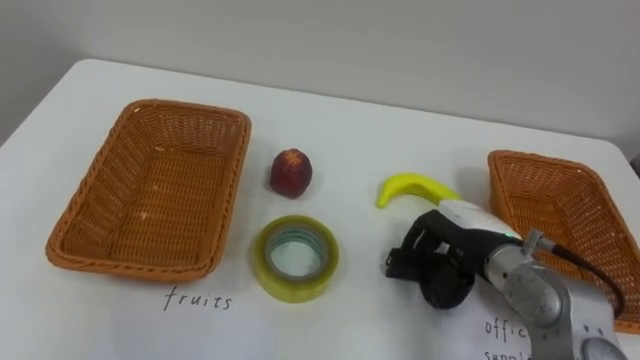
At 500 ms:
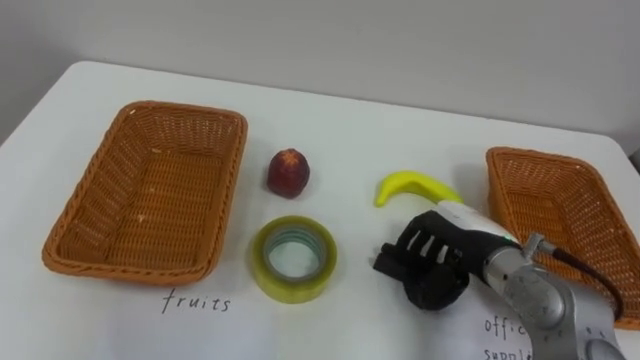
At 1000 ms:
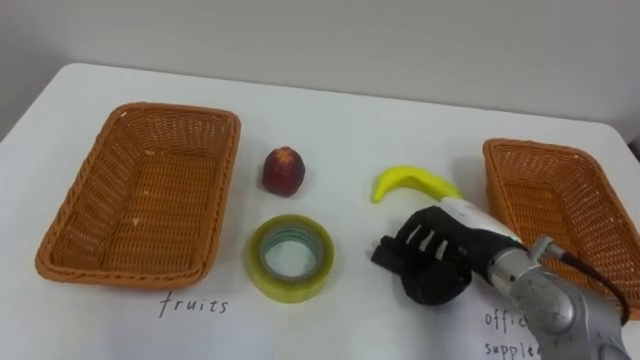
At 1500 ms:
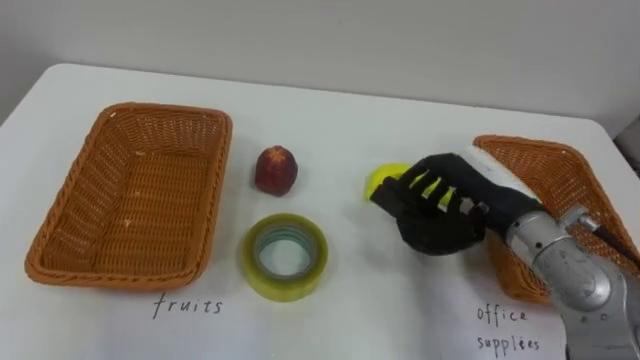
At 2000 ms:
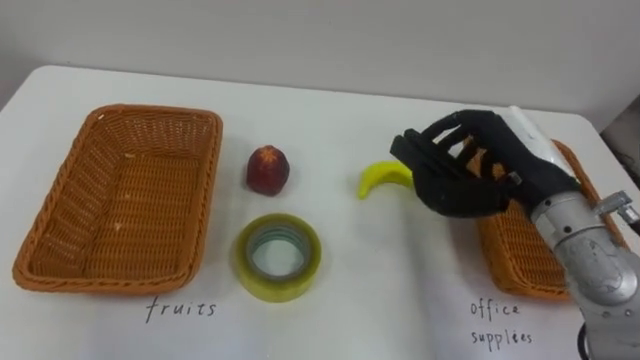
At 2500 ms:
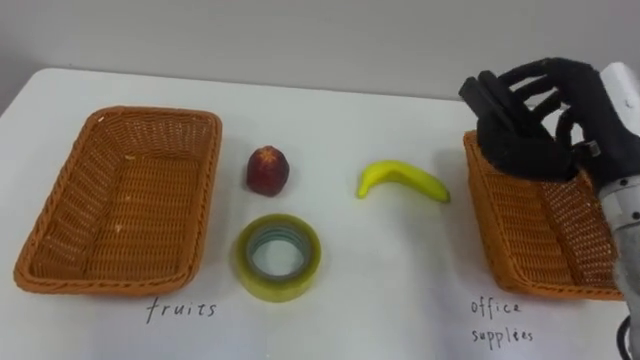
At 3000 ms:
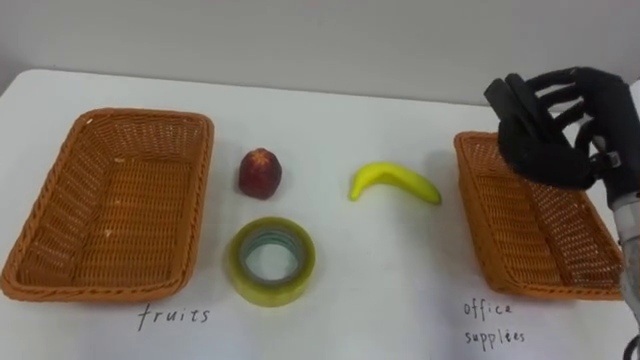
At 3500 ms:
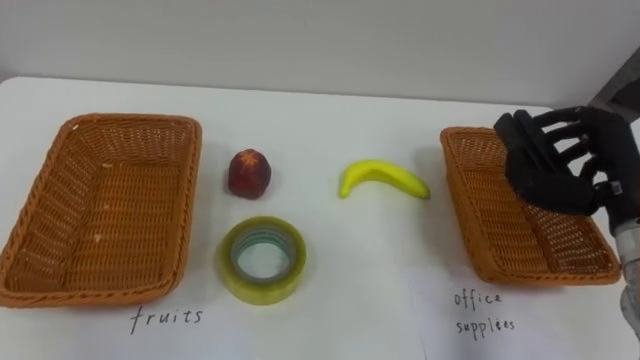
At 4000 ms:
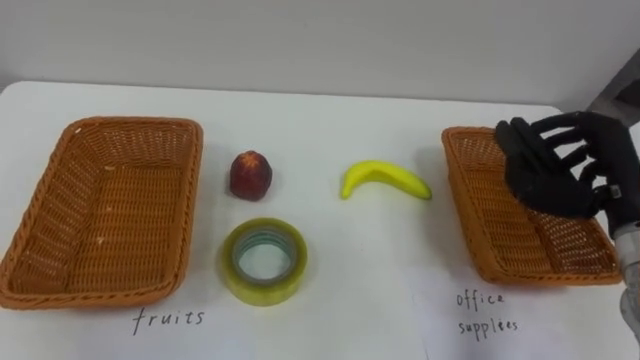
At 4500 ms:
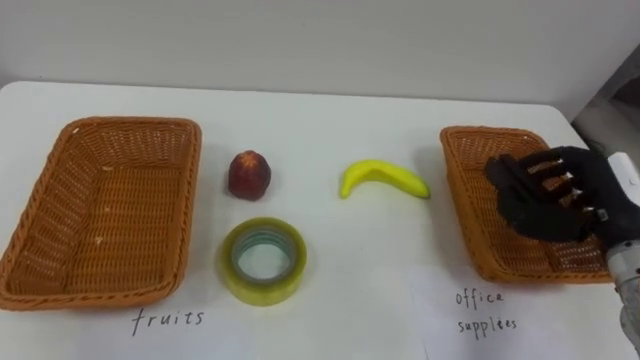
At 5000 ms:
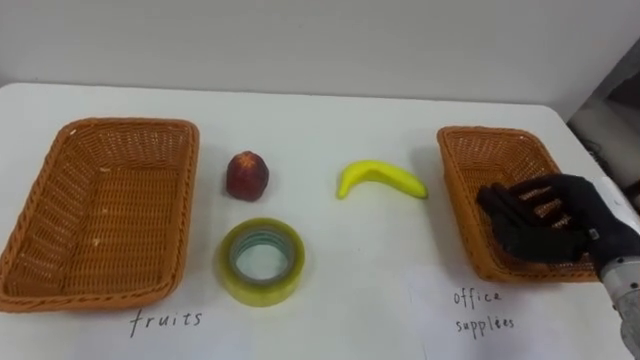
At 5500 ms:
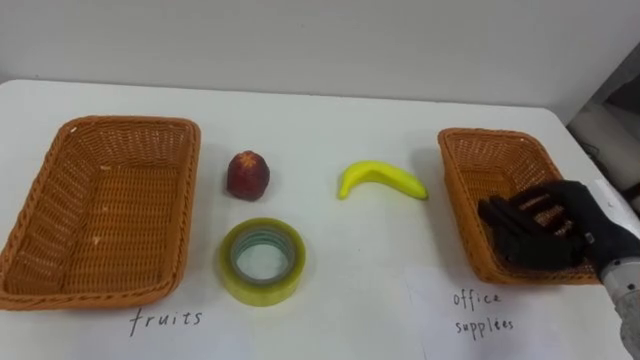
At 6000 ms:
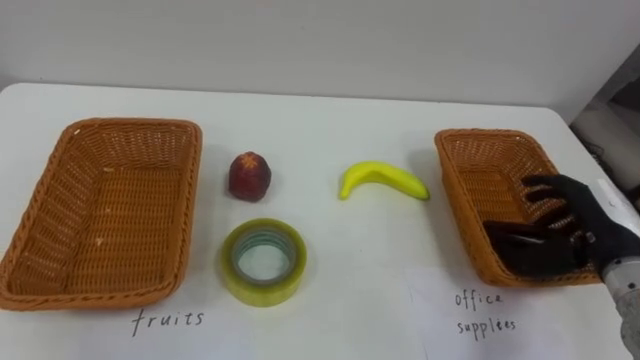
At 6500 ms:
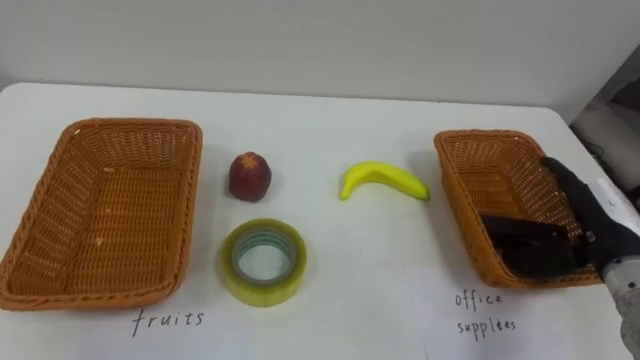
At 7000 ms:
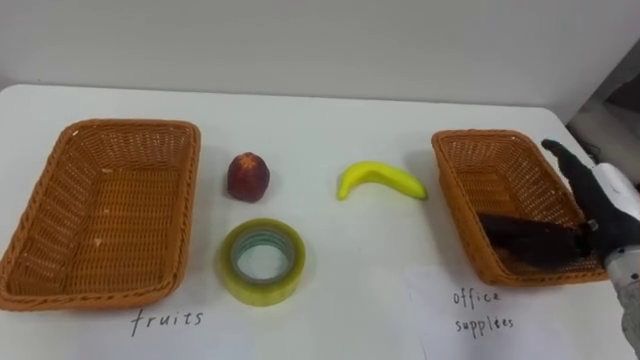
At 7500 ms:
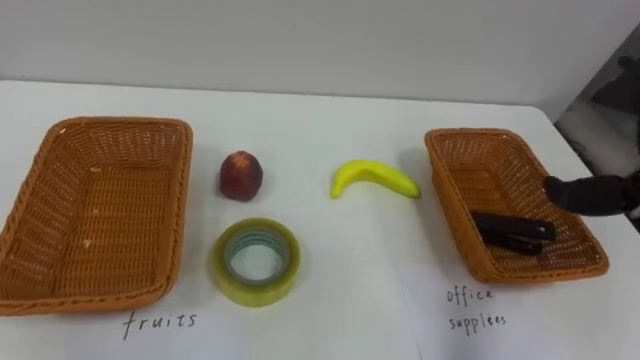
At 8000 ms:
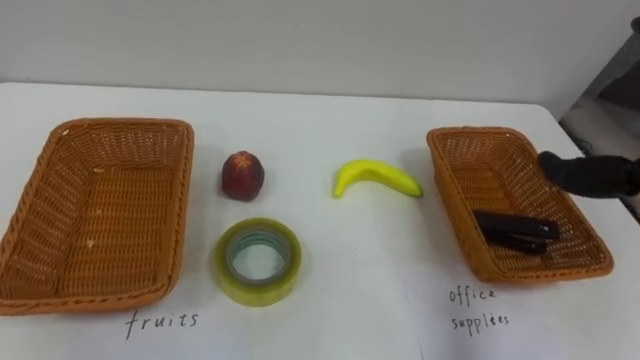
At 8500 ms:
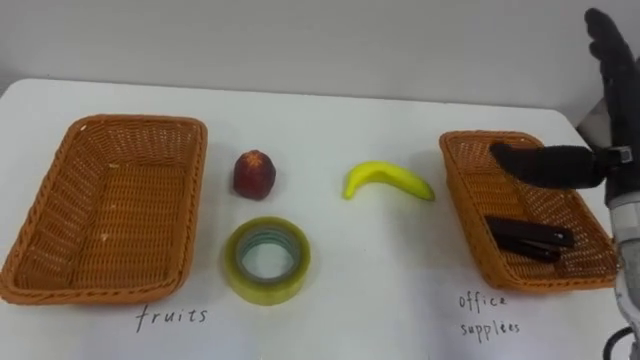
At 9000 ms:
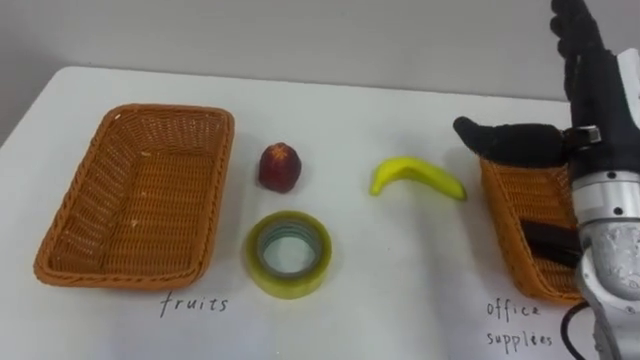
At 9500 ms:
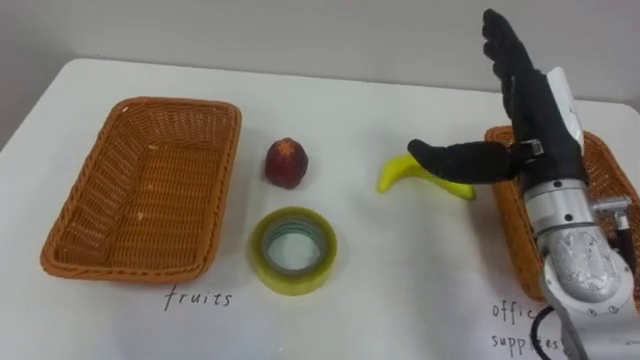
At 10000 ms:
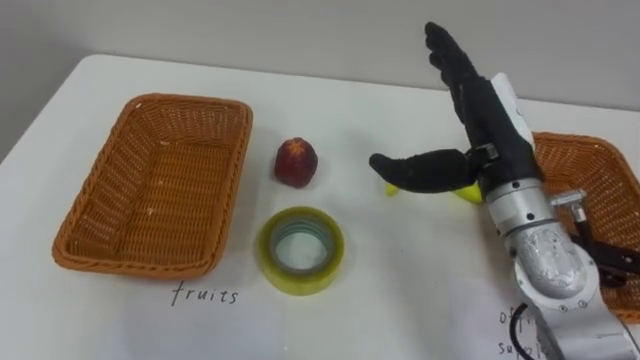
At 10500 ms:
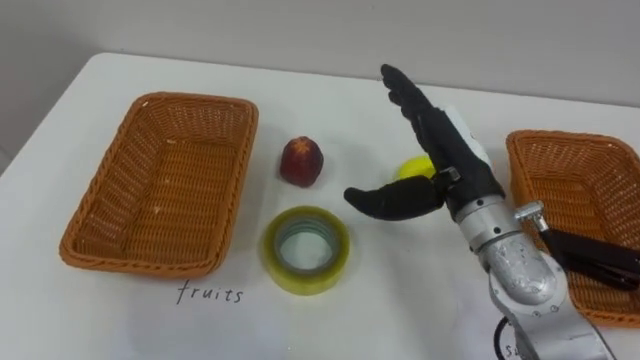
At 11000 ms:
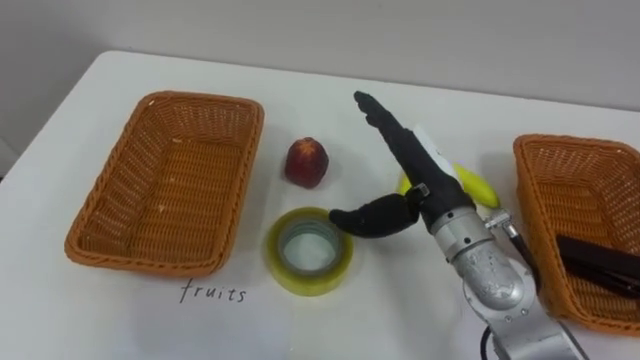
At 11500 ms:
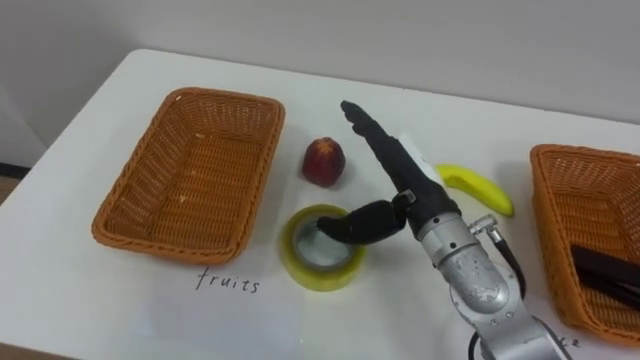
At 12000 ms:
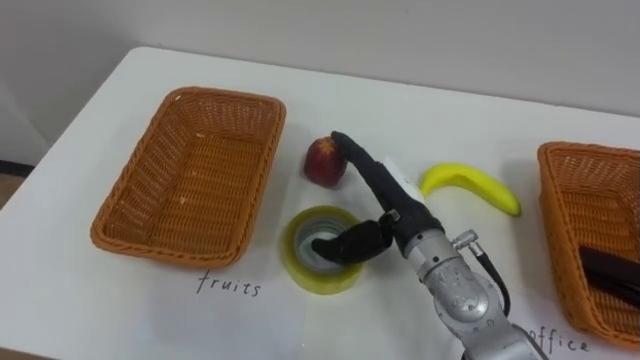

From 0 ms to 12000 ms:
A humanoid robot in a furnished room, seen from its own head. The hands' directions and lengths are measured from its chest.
Task of the whole recording: Separate the items on the table and place them into the two baskets.
From 0 ms to 2000 ms: The right hand heads upward, covering approximately 10 cm.
From 2000 ms to 4000 ms: The right hand travels to the right by about 10 cm.
From 4000 ms to 6000 ms: The right hand heads downward, covering about 5 cm.
From 10000 ms to 12000 ms: The right hand goes some 15 cm downward and to the left.

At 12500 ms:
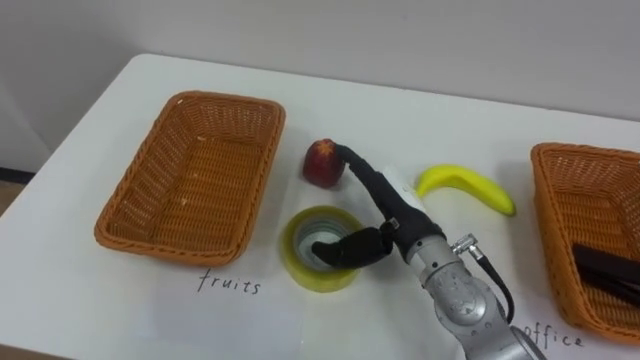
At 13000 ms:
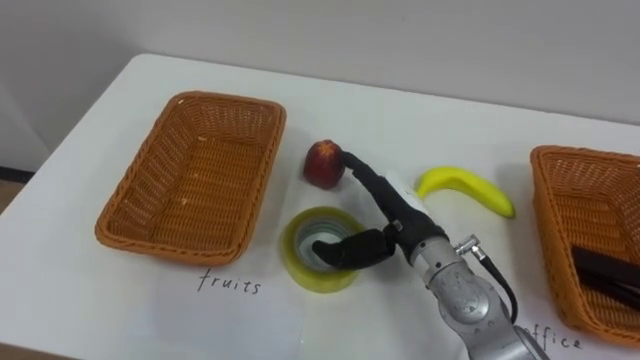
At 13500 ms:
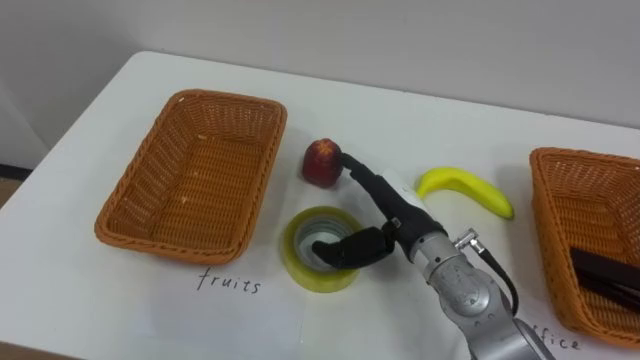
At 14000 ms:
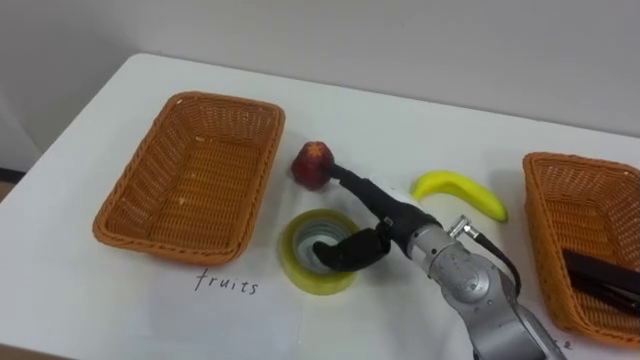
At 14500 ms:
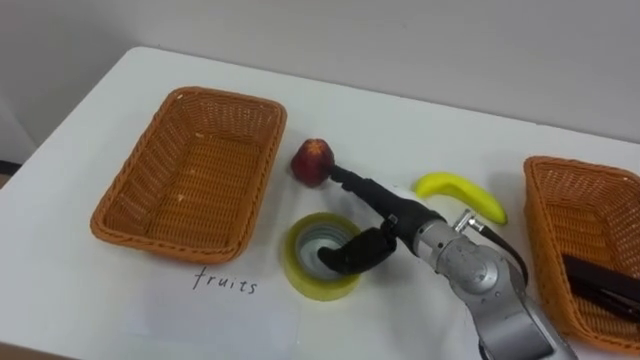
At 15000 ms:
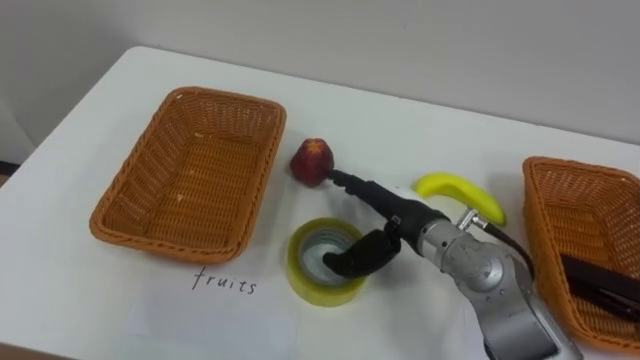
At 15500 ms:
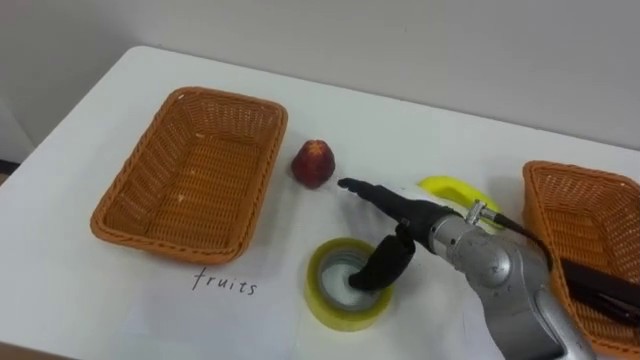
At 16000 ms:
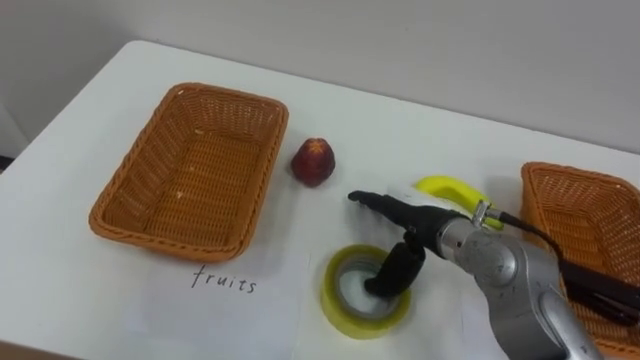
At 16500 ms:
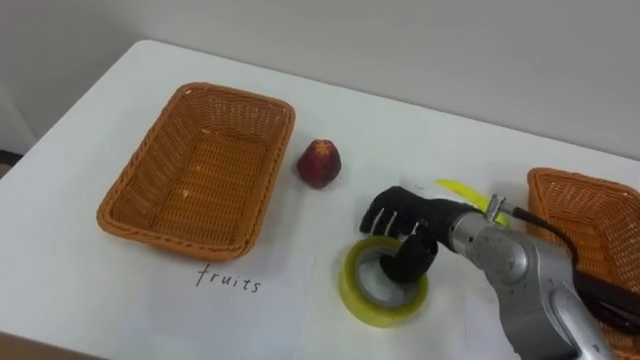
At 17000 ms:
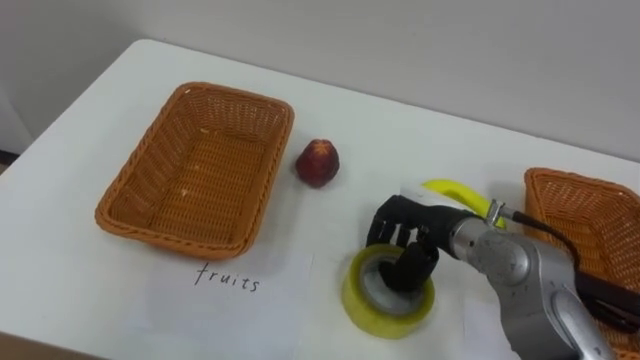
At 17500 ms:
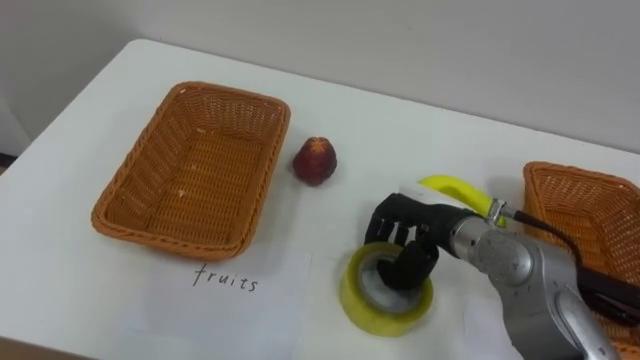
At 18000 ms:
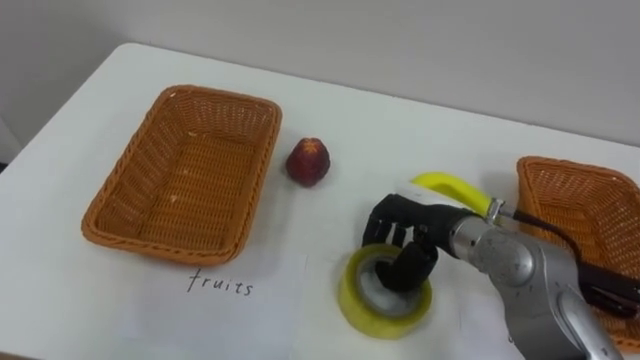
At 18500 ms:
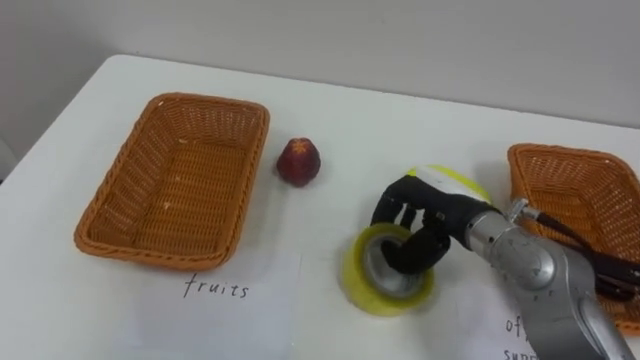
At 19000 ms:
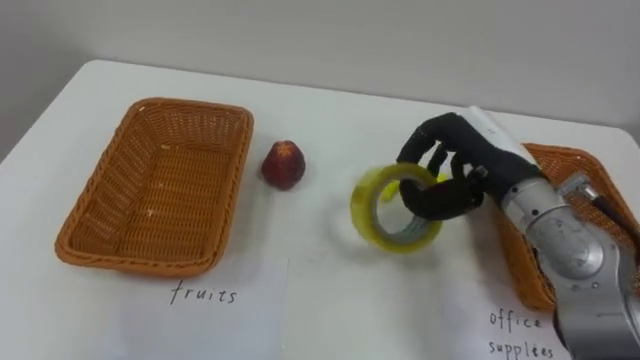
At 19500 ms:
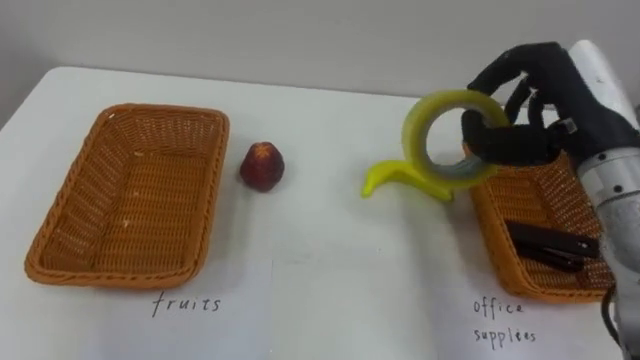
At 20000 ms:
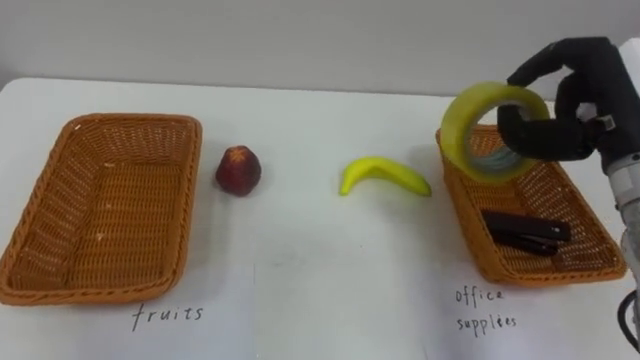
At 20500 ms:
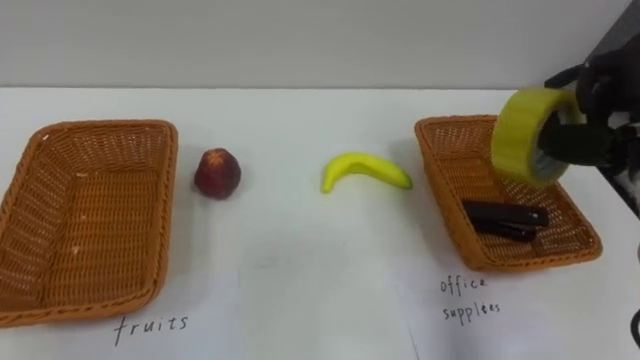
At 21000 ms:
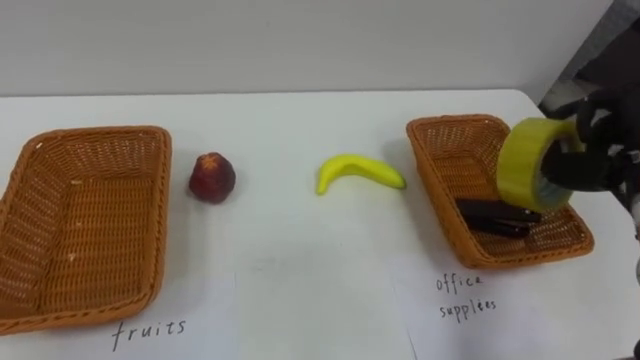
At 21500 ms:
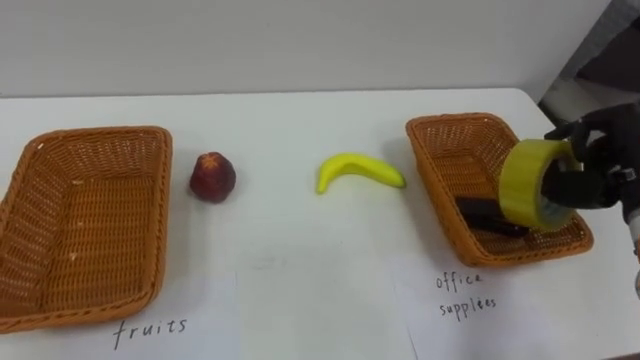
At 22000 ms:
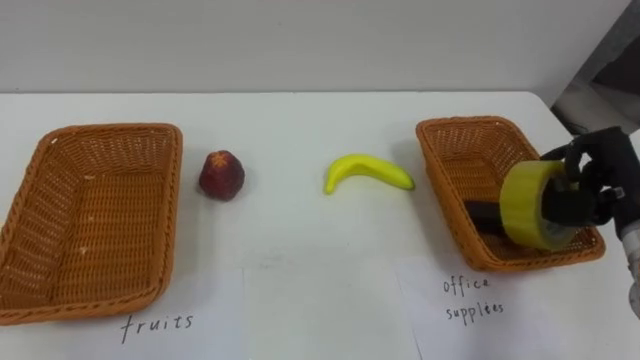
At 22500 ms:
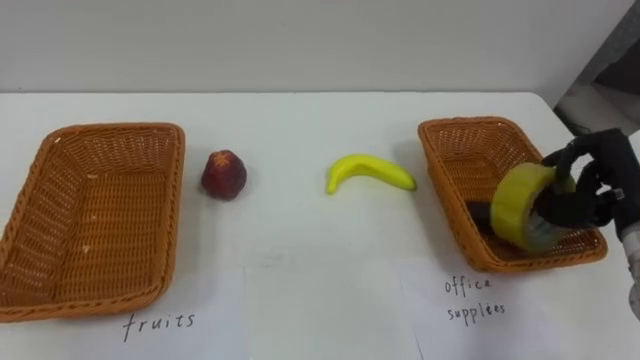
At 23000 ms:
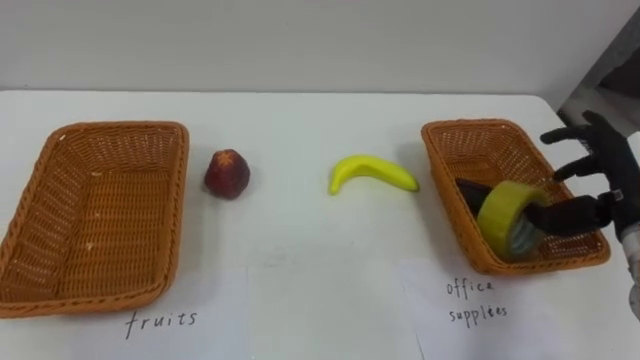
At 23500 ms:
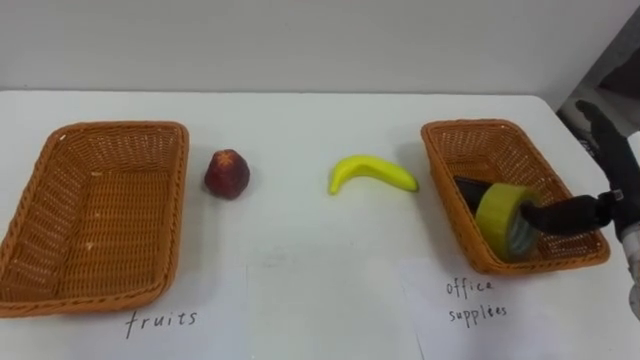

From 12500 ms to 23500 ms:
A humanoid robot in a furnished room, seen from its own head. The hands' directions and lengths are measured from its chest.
Task of the whole recording: Separate the items on the table and place them into the two baskets.
From 16000 ms to 18000 ms: The right hand closes.
From 18000 ms to 20000 ms: The right hand moves to the right and upward, about 20 cm.
From 21500 ms to 23500 ms: The right hand opens up.
